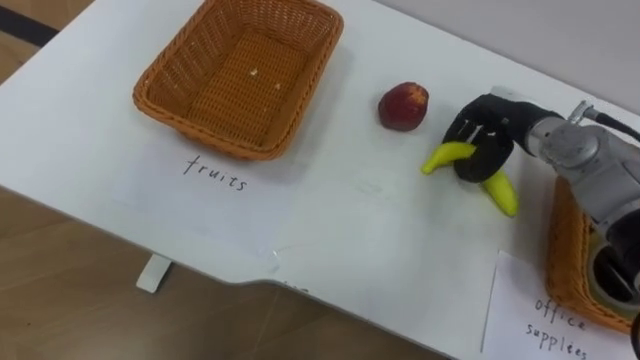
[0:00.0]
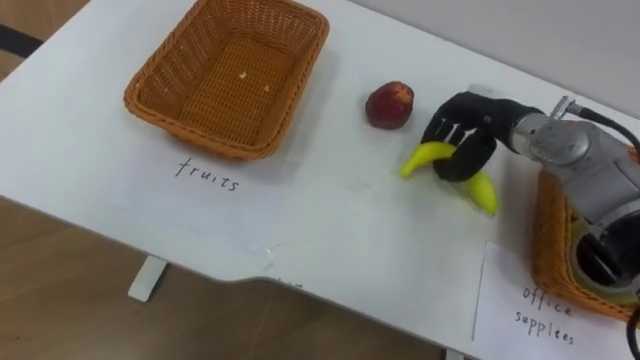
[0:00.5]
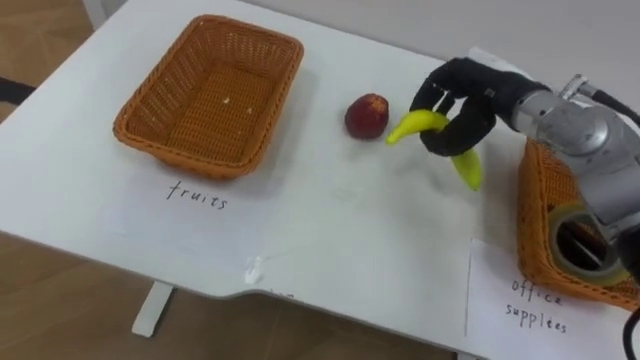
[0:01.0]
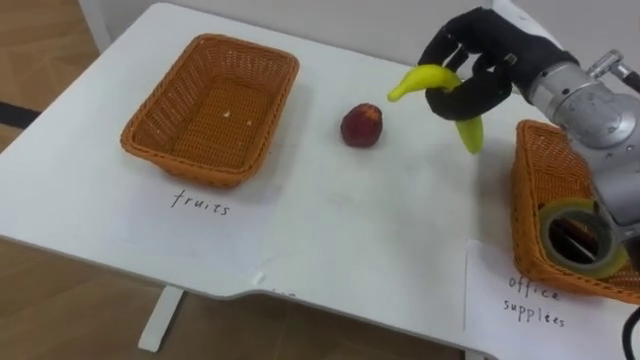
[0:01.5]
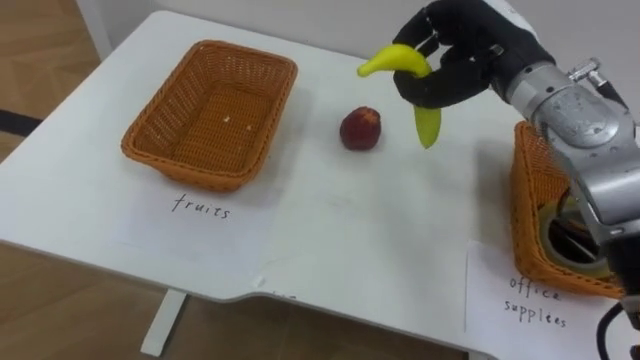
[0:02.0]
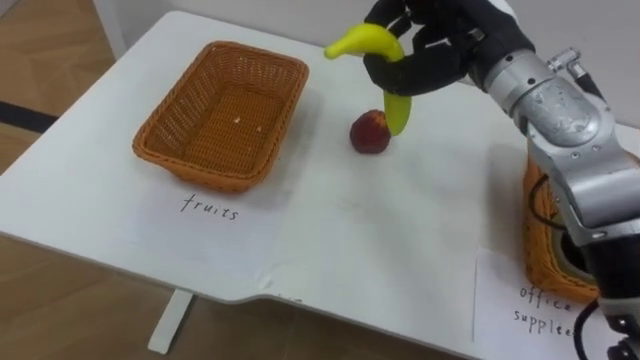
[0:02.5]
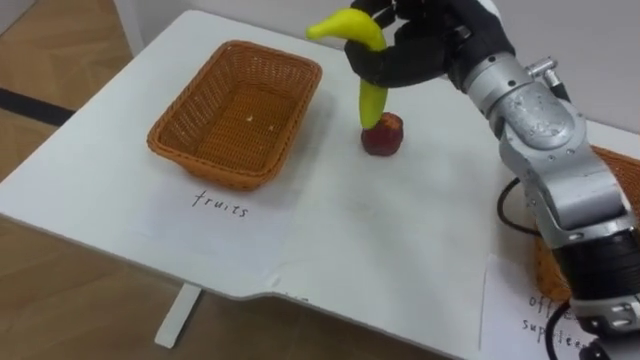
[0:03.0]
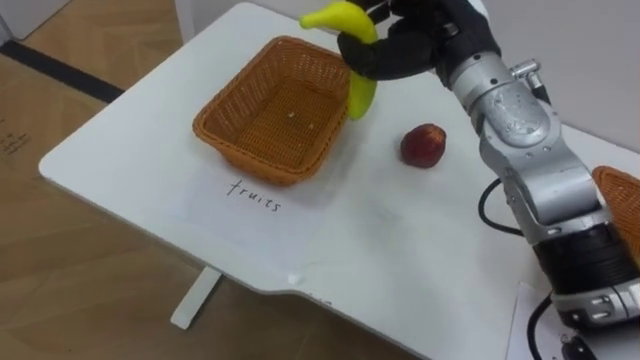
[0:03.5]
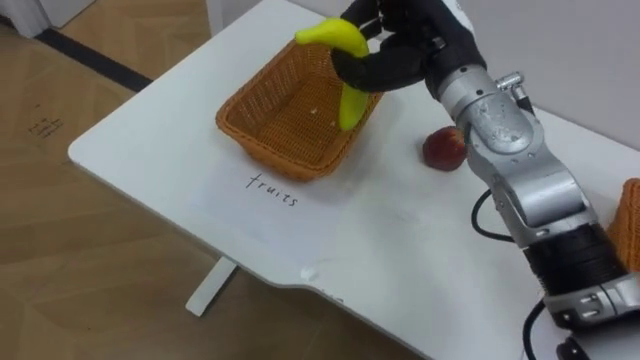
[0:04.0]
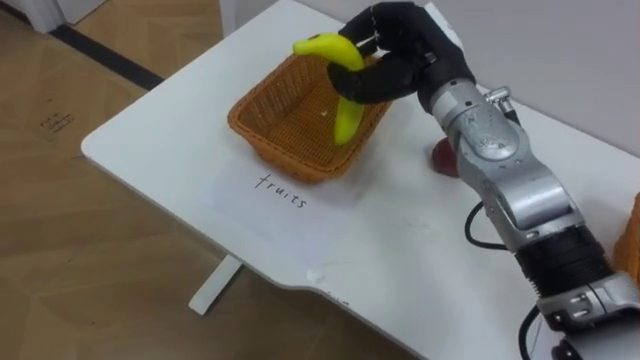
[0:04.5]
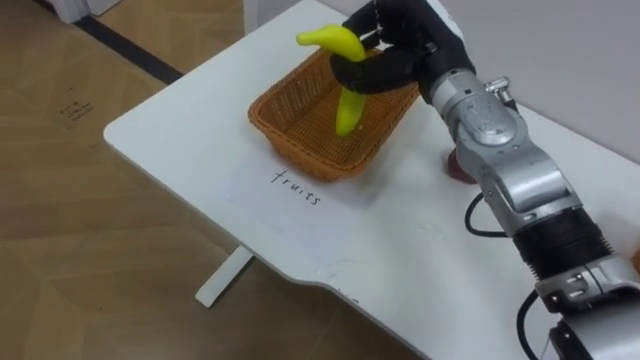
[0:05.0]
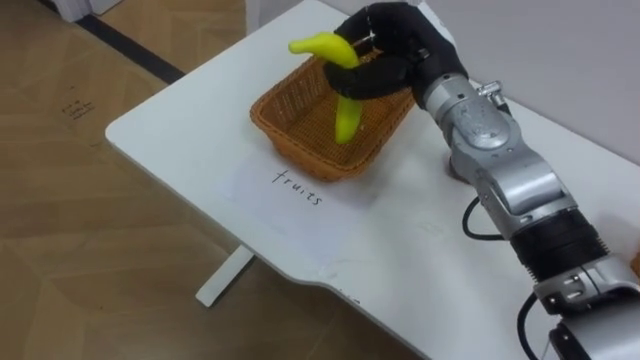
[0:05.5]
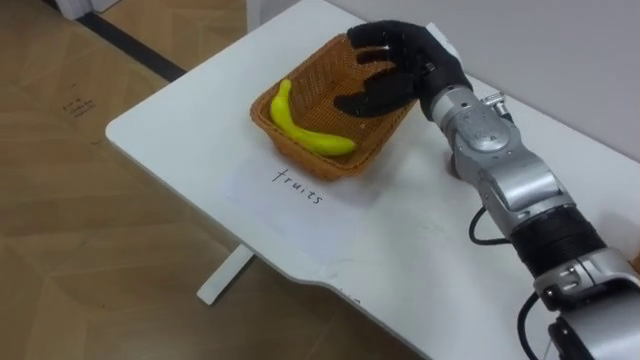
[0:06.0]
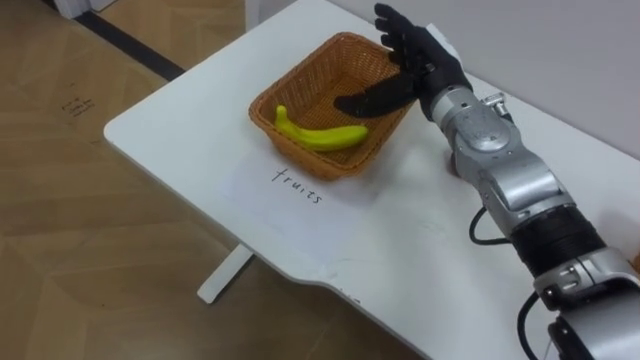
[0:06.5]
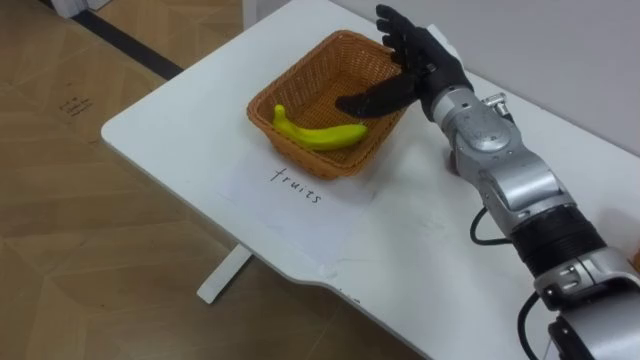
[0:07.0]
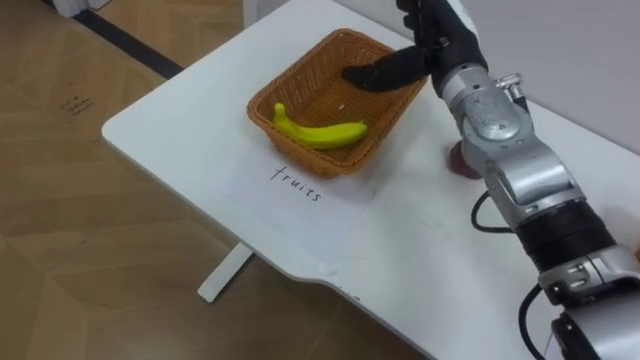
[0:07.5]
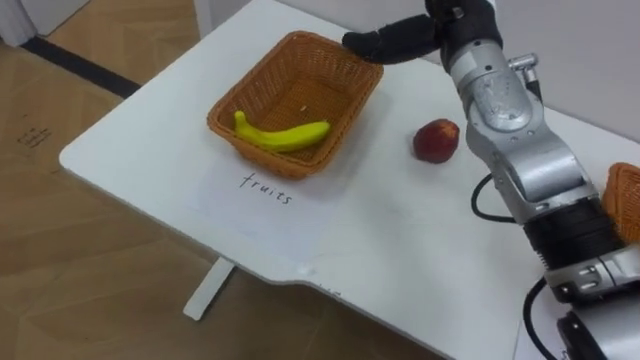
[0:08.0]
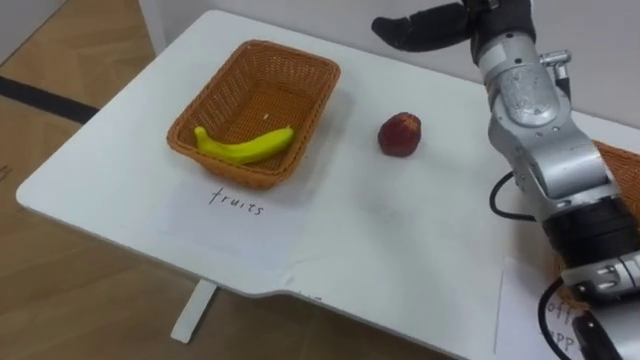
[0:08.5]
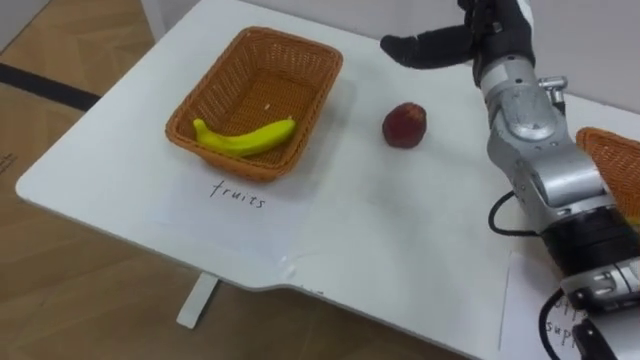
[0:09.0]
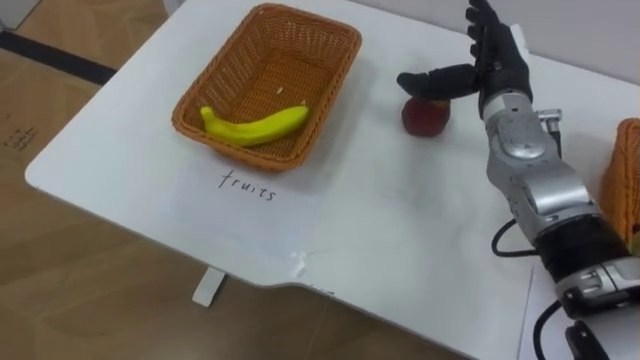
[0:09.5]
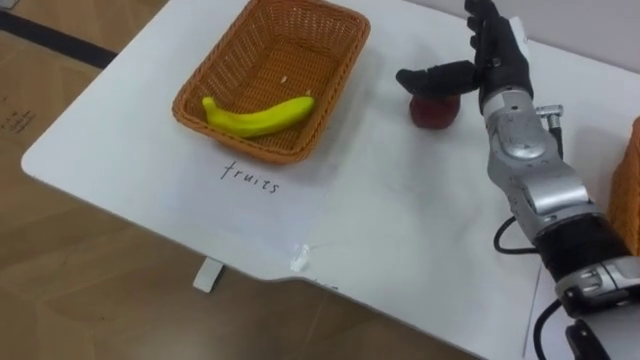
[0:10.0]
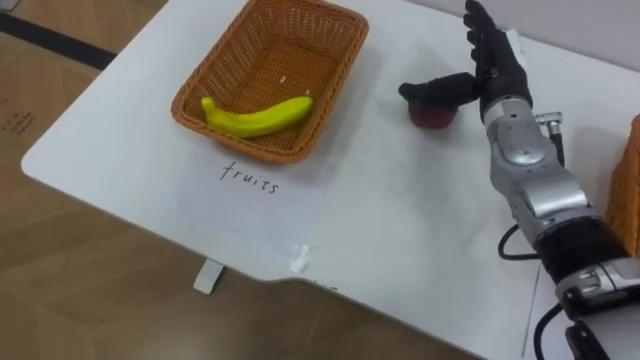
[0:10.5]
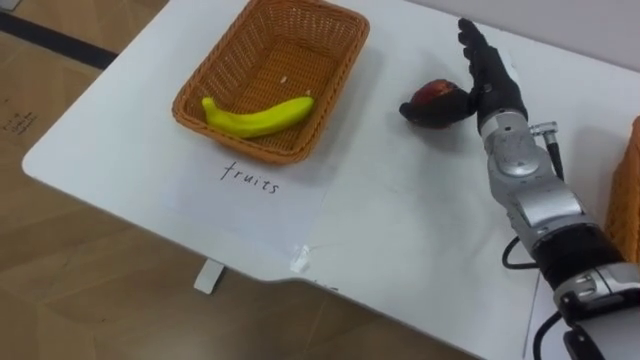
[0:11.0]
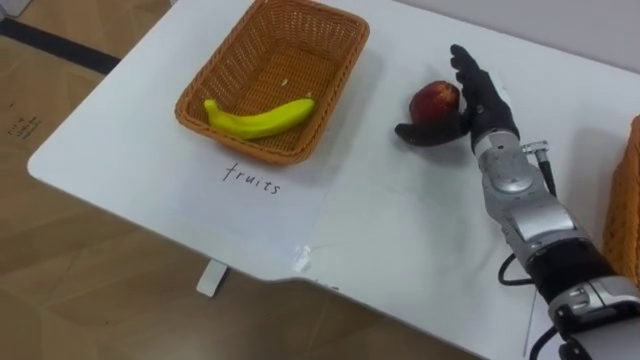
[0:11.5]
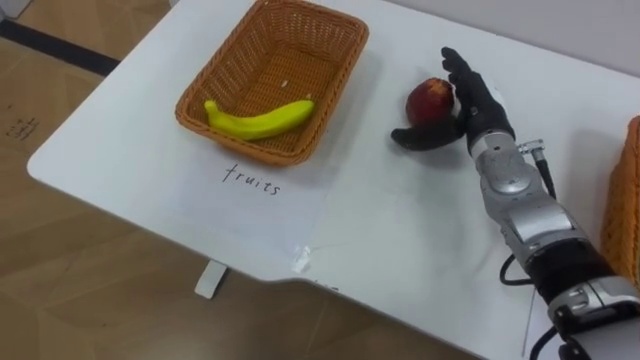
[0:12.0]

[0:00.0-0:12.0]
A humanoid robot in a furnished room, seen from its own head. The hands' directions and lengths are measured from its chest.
Task of the whole recording: Separate the items on the table and place them into the two baskets.
0:00.0 to 0:02.0: The right hand is displaced upward and to the left by some 15 cm.
0:02.0 to 0:04.0: The right hand heads to the left, covering approximately 5 cm.
0:04.0 to 0:06.0: The right hand is displaced downward by roughly 5 cm, and opens up.
0:06.0 to 0:08.0: The right hand moves upward, approximately 5 cm, and opens.
0:08.0 to 0:10.0: The right hand moves downward and to the right, about 10 cm.
0:10.0 to 0:12.0: The right hand travels downward by roughly 5 cm.

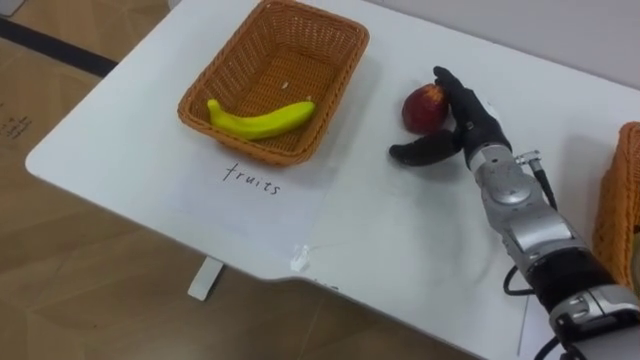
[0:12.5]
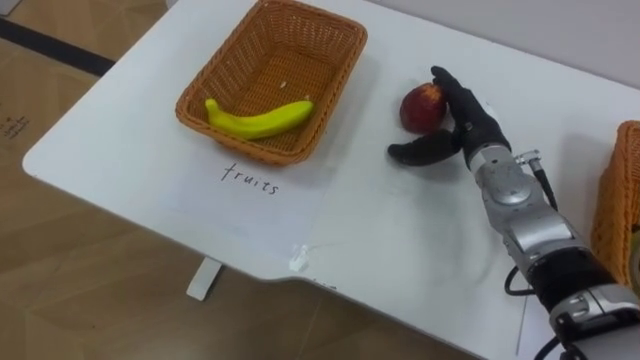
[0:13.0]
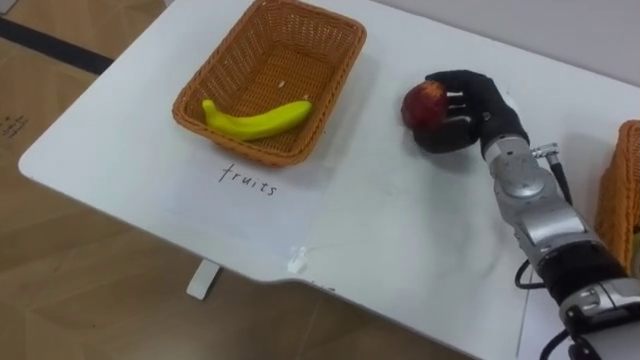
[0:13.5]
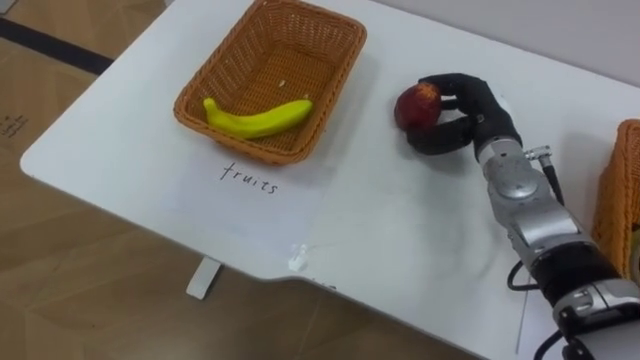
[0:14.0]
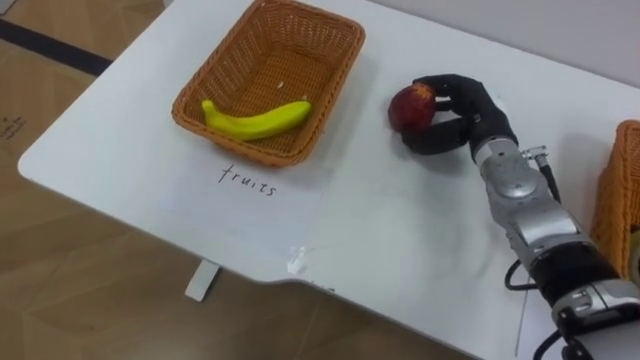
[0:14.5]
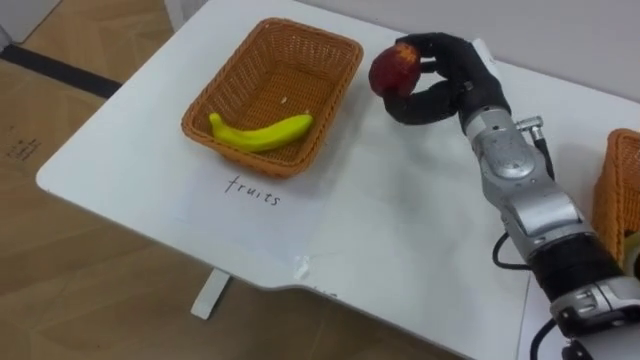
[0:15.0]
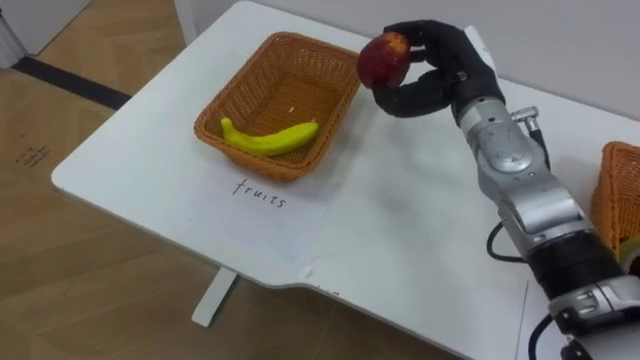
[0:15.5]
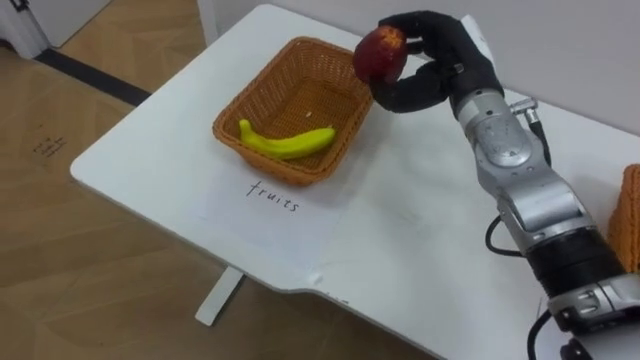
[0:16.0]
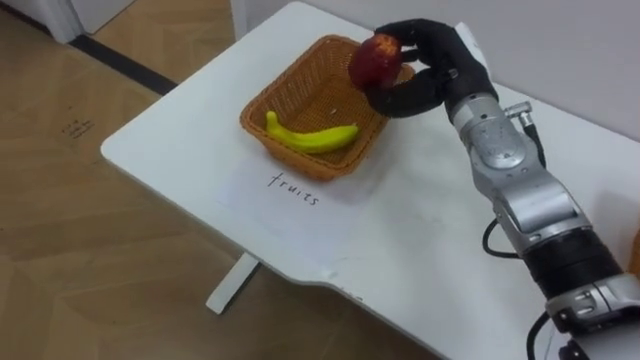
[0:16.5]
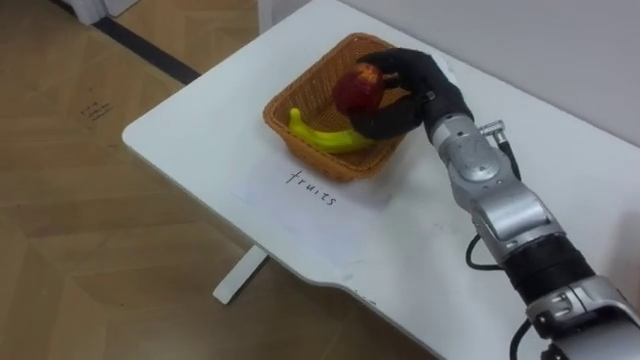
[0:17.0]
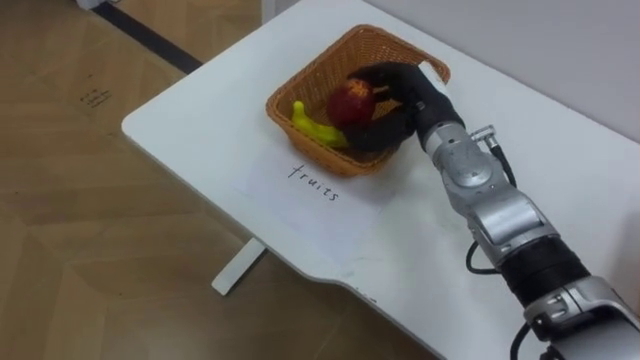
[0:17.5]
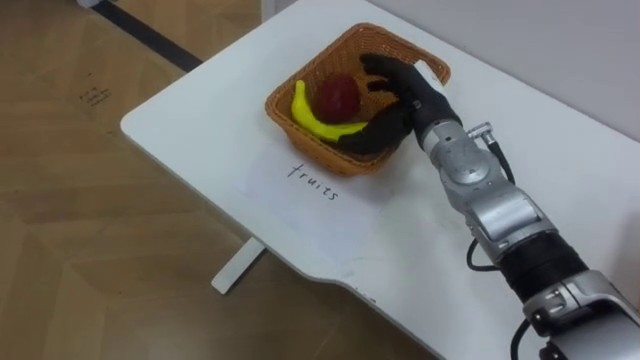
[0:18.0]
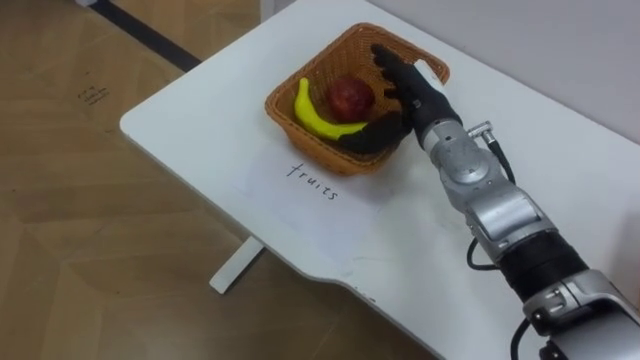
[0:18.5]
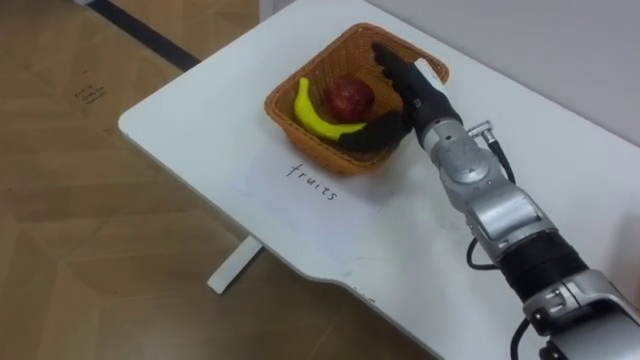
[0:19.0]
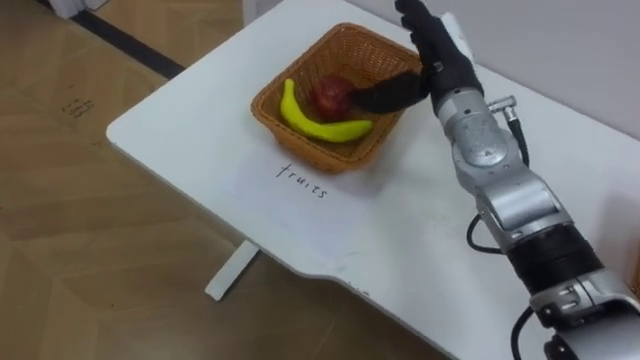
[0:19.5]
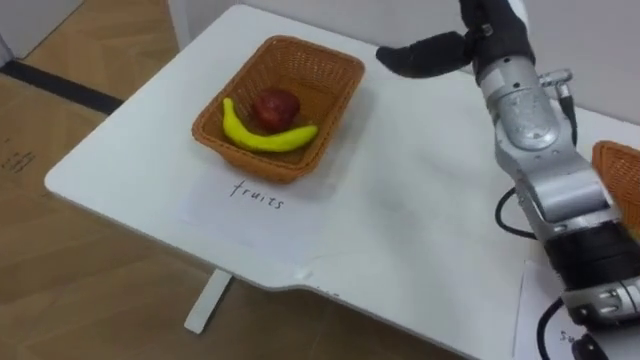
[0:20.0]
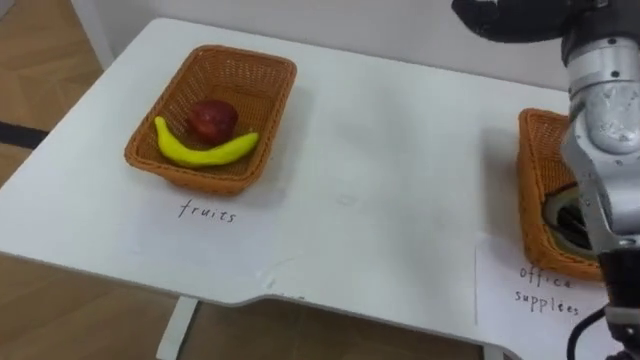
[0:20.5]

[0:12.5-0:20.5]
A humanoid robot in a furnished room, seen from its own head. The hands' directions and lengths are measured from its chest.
Task of the whole recording: Separate the items on the table and place them into the two baskets.
0:12.5 to 0:14.5: The right hand closes its fingers.
0:14.5 to 0:16.5: The right hand heads upward, covering some 10 cm.
0:16.5 to 0:18.5: The right hand moves some 5 cm, and opens.
0:18.5 to 0:20.5: The right hand travels upward and to the right by about 20 cm.
